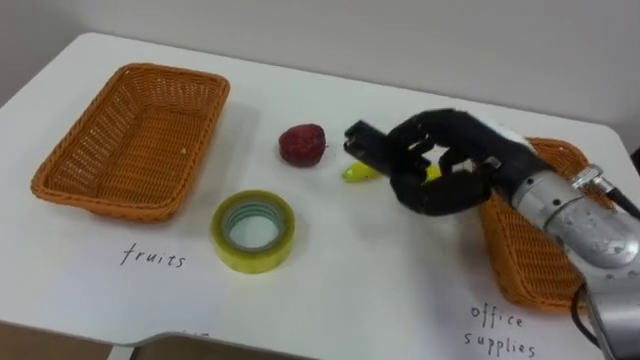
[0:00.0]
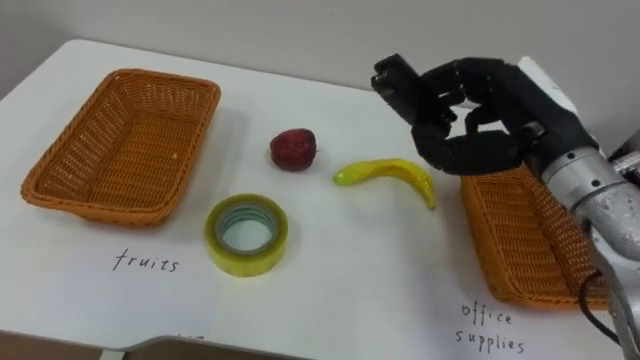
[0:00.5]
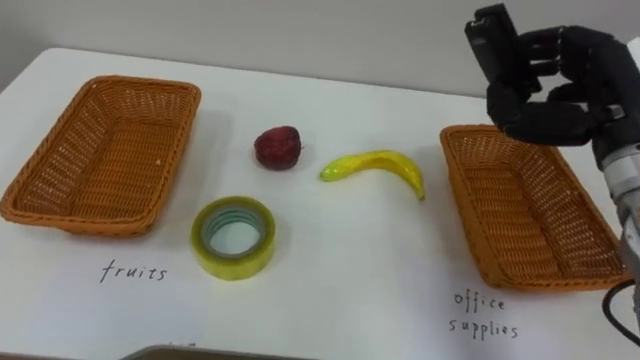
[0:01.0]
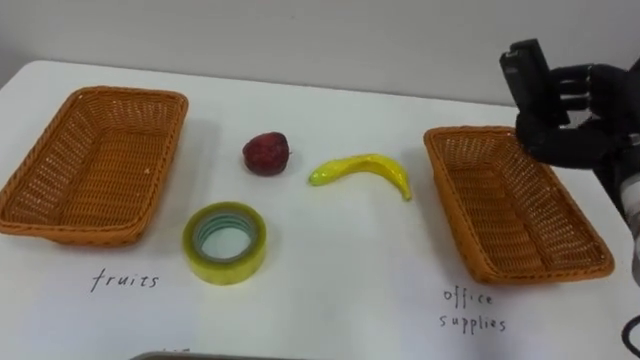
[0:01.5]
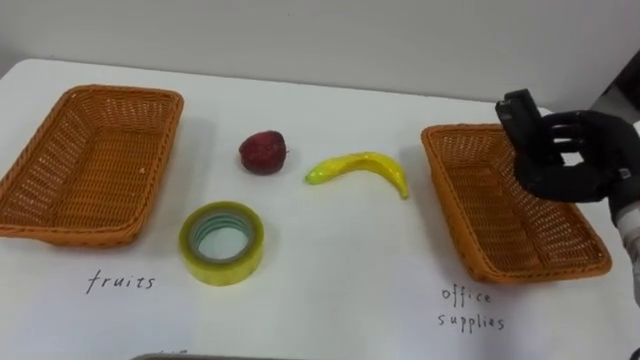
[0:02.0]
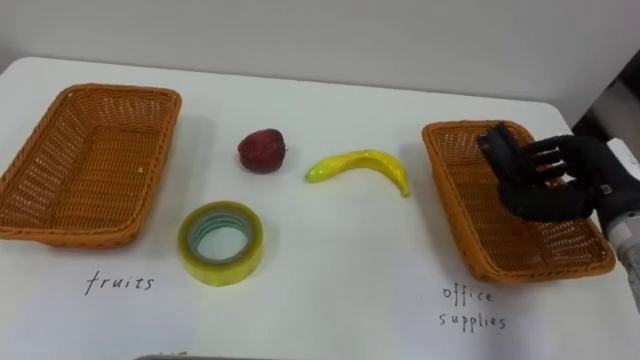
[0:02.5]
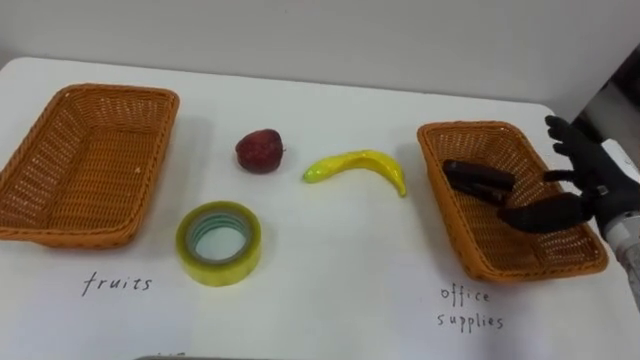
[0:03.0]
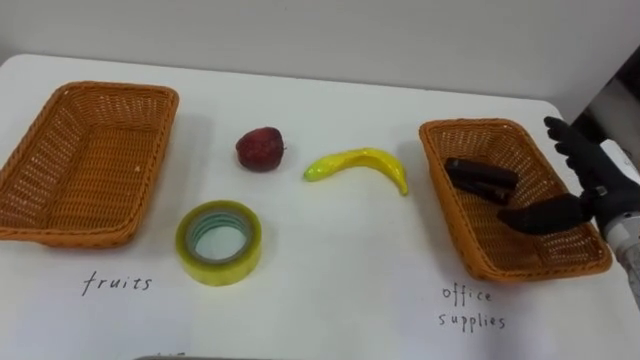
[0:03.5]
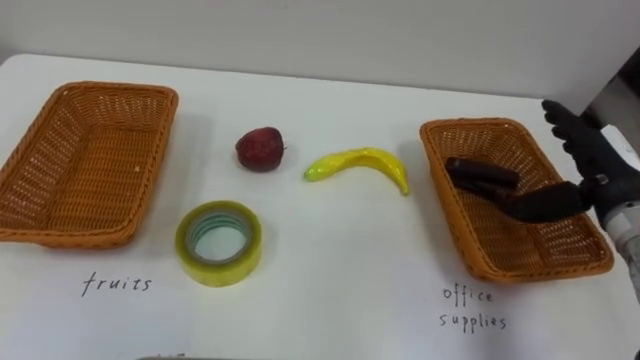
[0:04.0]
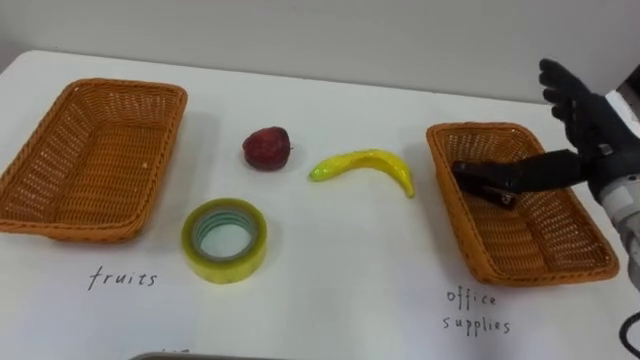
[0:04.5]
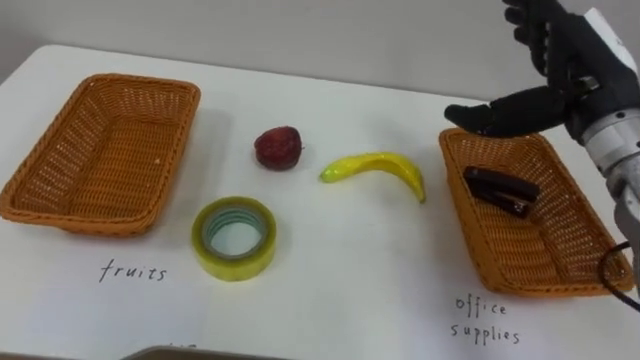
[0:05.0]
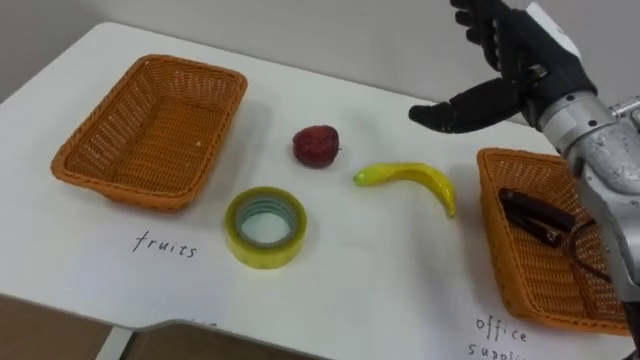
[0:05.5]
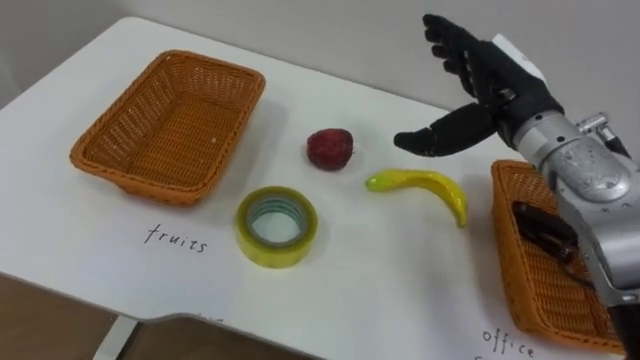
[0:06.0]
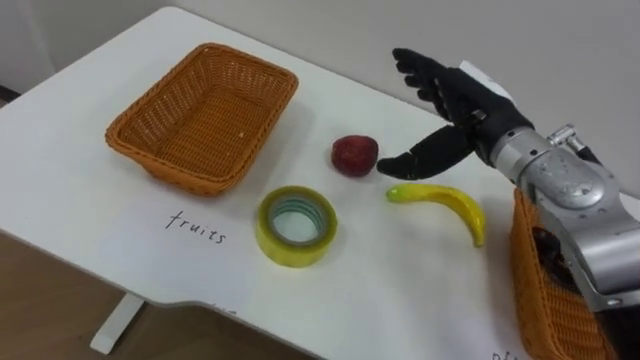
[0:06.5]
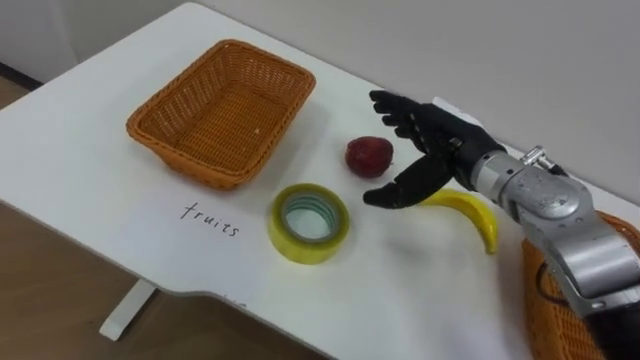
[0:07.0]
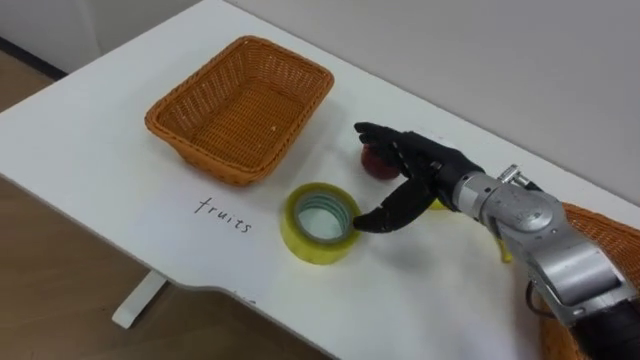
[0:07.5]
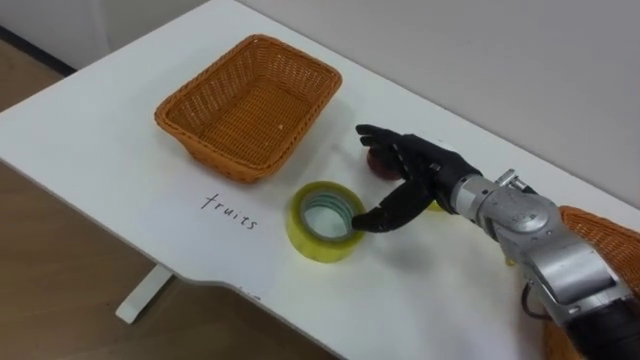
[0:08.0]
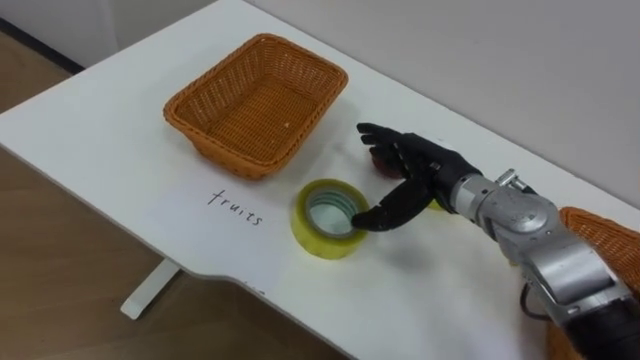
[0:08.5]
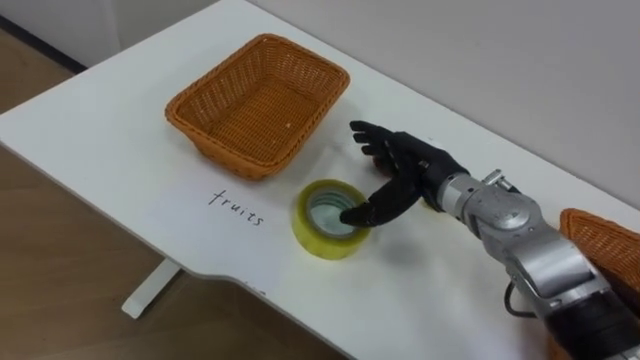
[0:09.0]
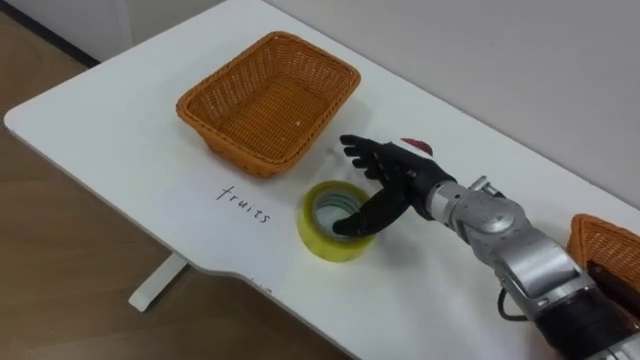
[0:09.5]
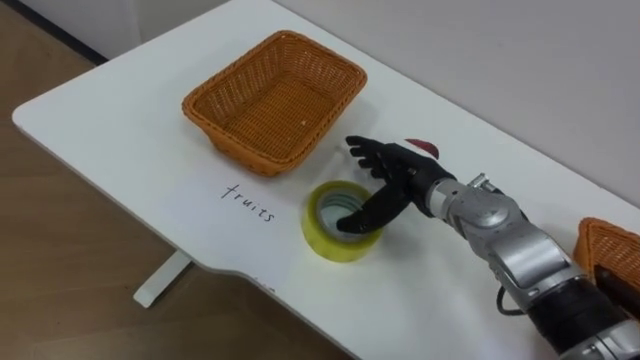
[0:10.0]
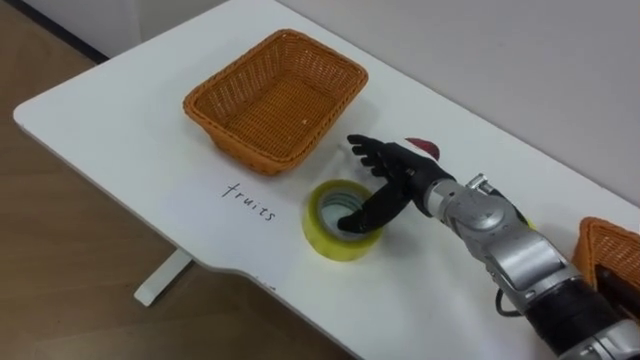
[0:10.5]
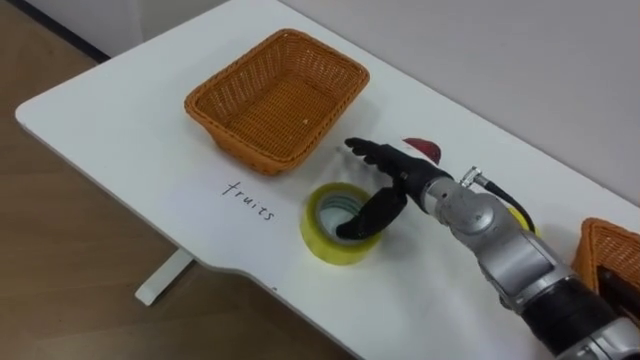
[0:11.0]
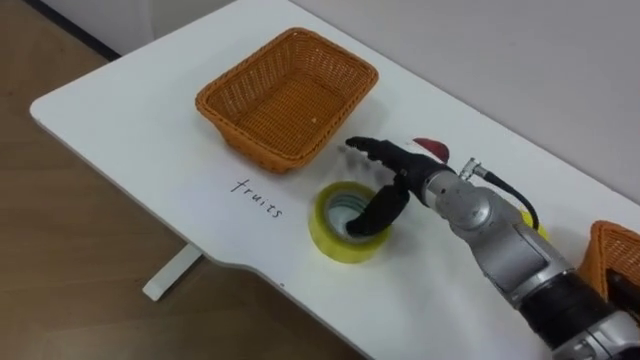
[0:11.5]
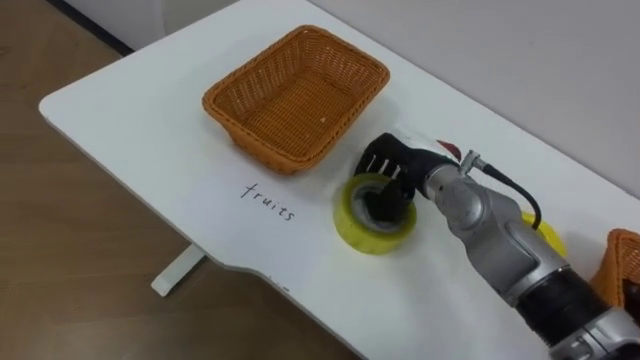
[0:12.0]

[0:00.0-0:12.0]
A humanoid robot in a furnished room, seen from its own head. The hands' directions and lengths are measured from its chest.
Task of the whole recording: Separate the items on the table and place them into the two baskets.
0:00.0 to 0:02.0: The right hand travels to the right by some 15 cm.
0:02.0 to 0:04.0: The right hand opens.
0:04.0 to 0:06.0: The right hand goes about 15 cm to the left, upward and forward.
0:06.0 to 0:08.0: The right hand moves downward and to the left, about 10 cm.
0:10.0 to 0:12.0: The right hand closes.

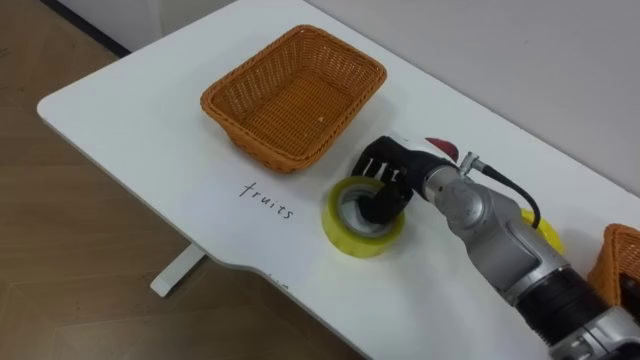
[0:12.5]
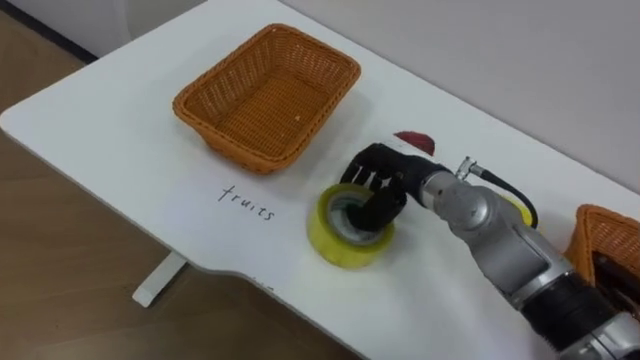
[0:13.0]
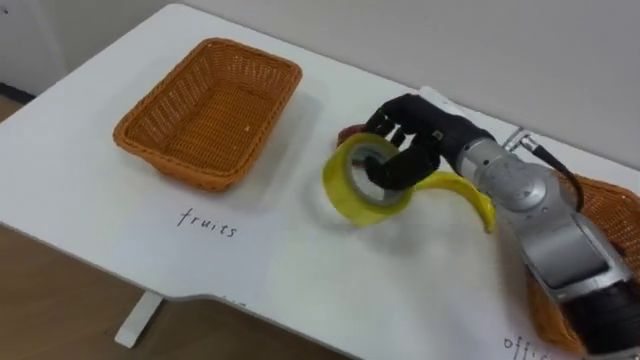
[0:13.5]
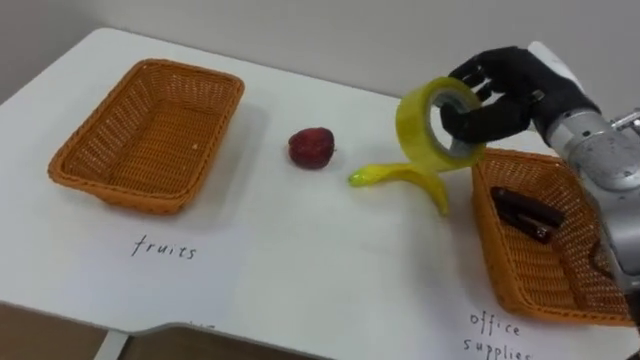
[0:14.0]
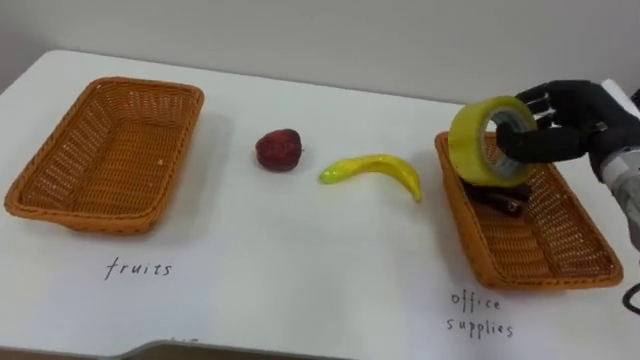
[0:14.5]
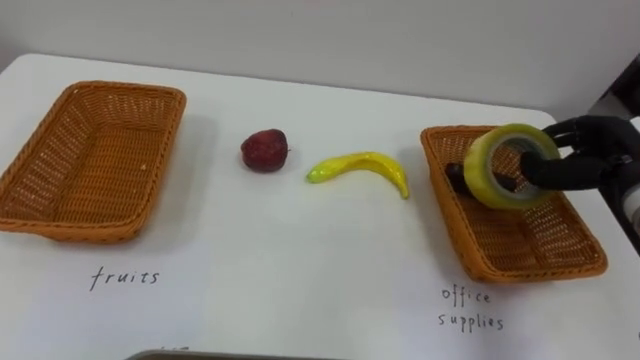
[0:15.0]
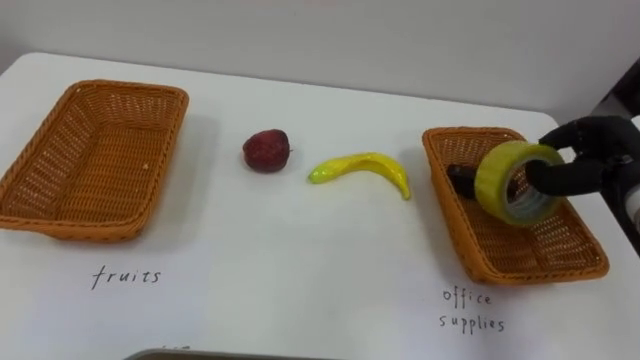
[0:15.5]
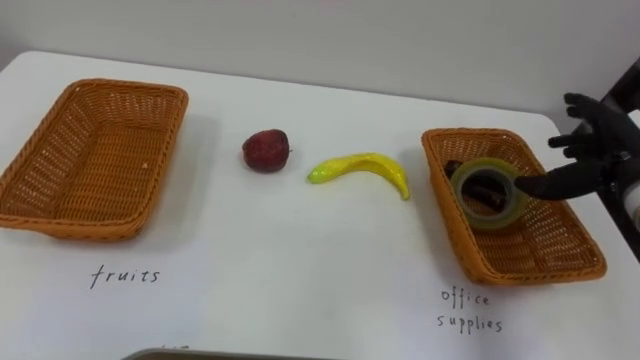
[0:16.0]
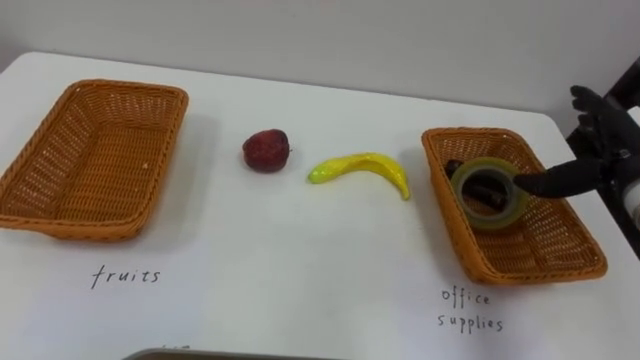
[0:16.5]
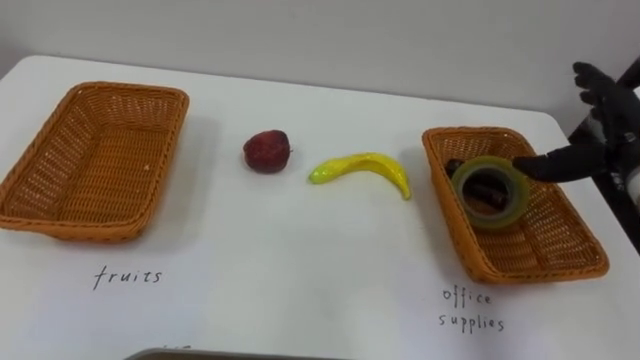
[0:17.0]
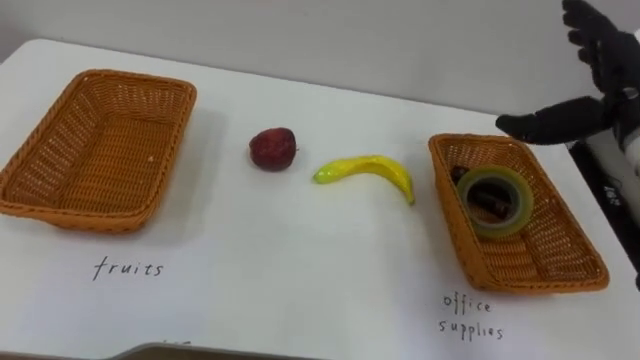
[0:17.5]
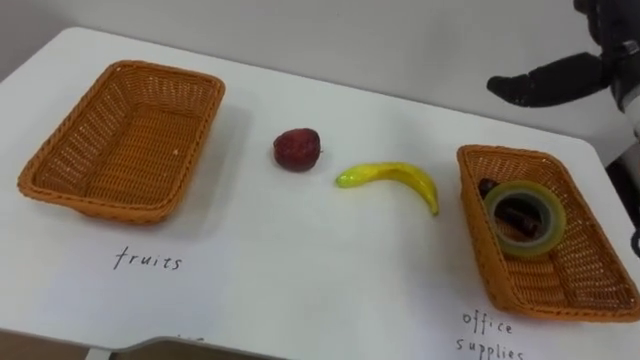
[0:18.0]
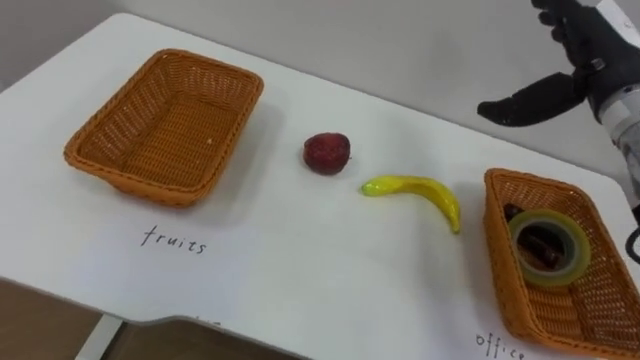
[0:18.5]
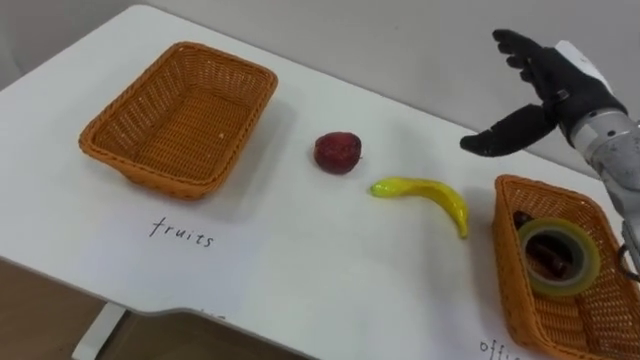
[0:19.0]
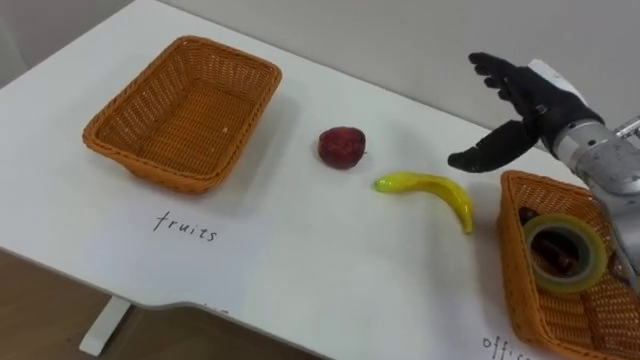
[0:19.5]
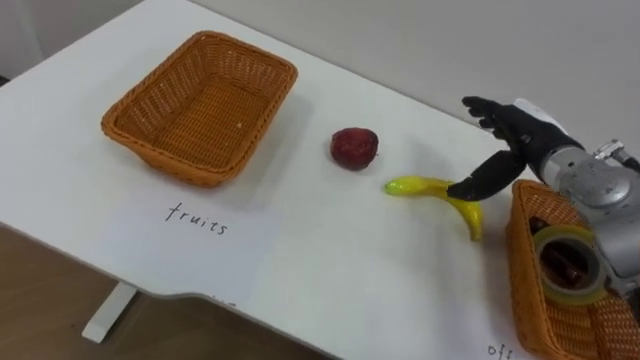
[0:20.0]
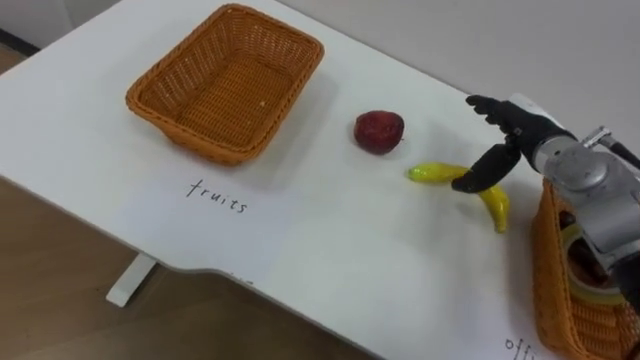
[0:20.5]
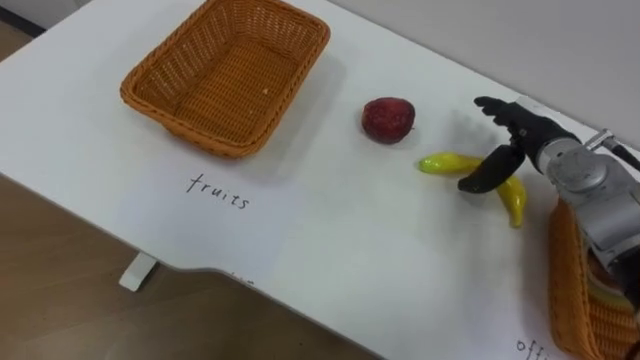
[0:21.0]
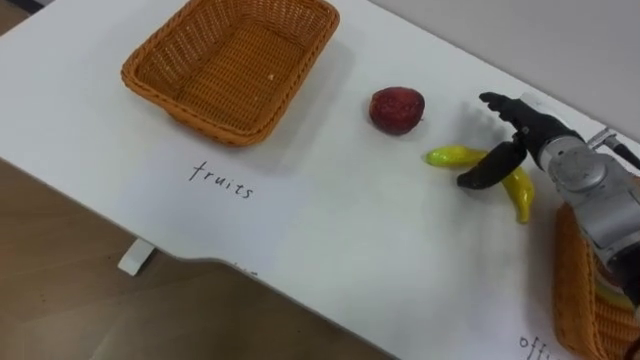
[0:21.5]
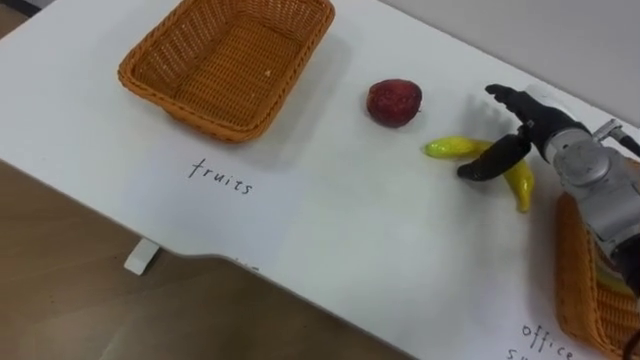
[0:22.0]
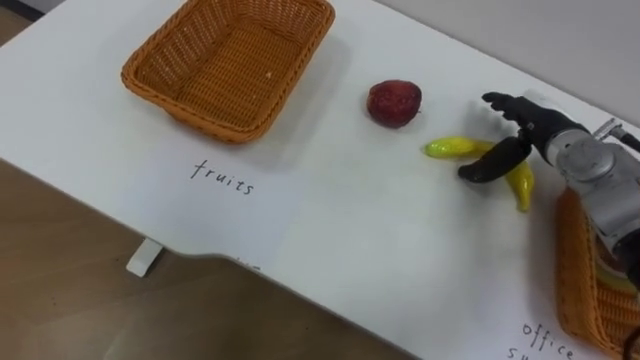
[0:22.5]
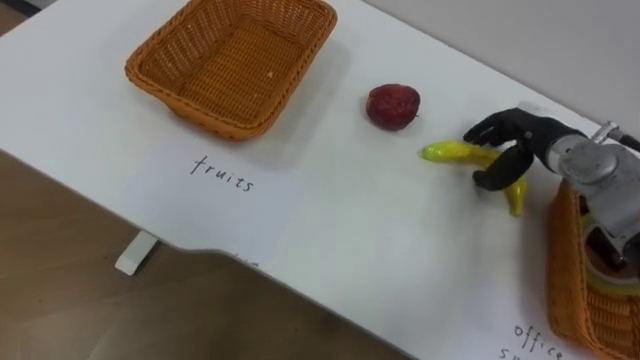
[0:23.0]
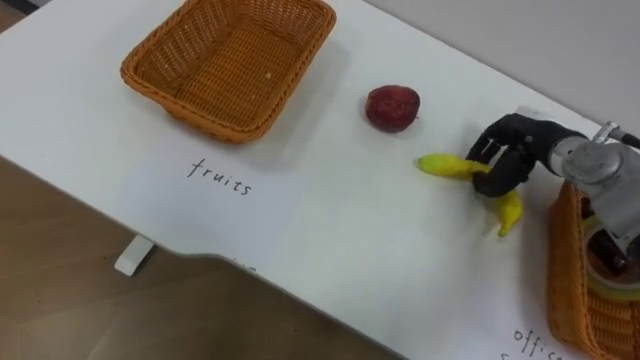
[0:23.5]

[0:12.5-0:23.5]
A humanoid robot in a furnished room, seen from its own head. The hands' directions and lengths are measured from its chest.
Task of the whole recording: Separate the items on the table and place them into the two baskets.
0:12.5 to 0:14.5: The right hand is displaced to the right by some 20 cm.
0:14.5 to 0:16.0: The right hand ends up approximately 5 cm from where it was, and opens.
0:16.0 to 0:18.0: The right hand moves upward and to the left, approximately 15 cm.
0:18.0 to 0:20.0: The right hand moves downward, about 15 cm.
0:21.5 to 0:23.5: The right hand closes up.
